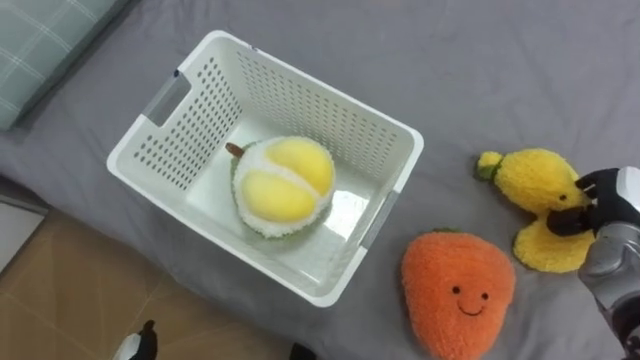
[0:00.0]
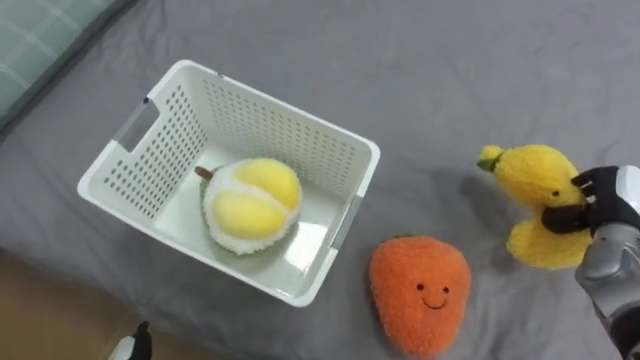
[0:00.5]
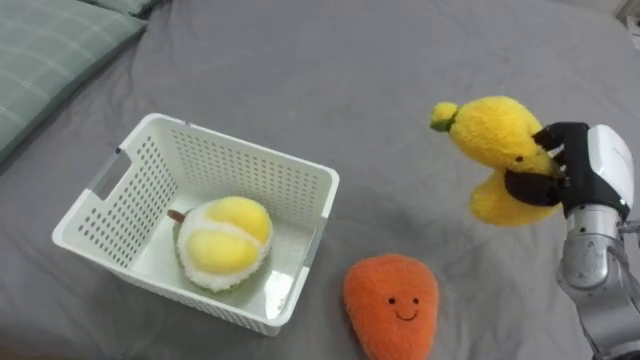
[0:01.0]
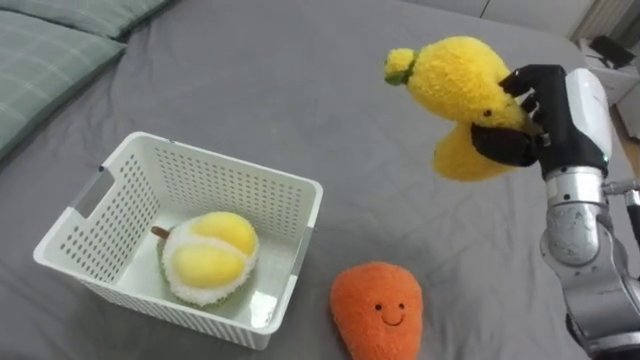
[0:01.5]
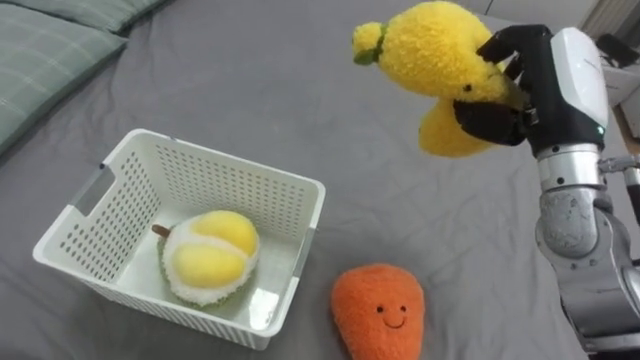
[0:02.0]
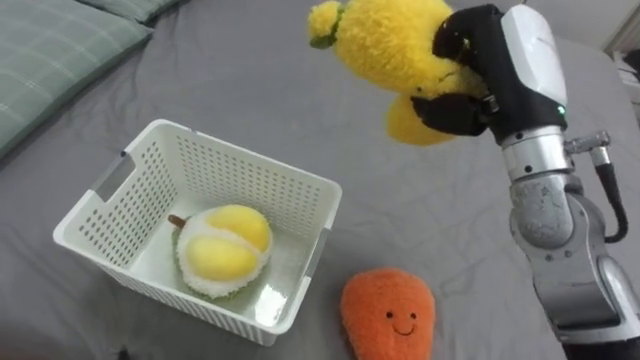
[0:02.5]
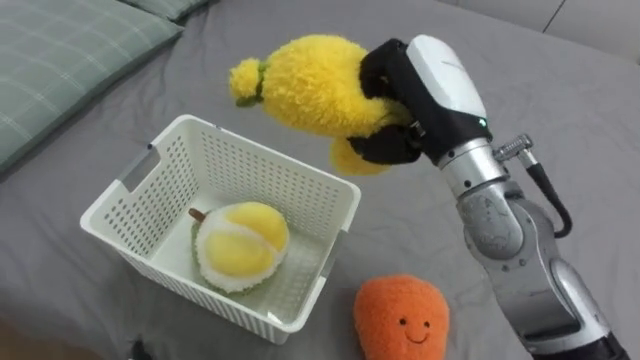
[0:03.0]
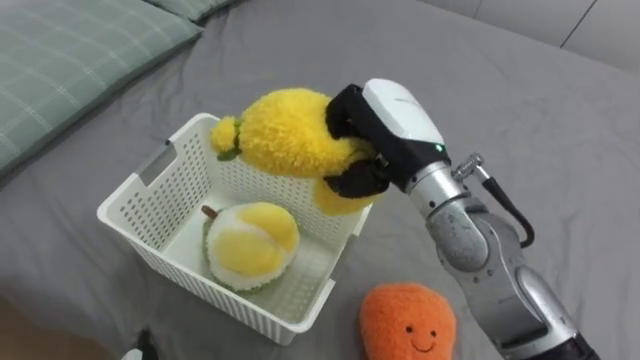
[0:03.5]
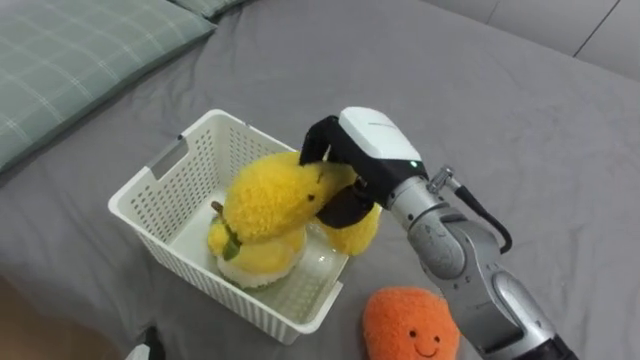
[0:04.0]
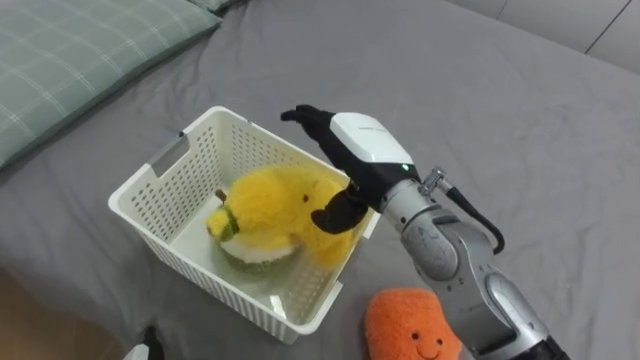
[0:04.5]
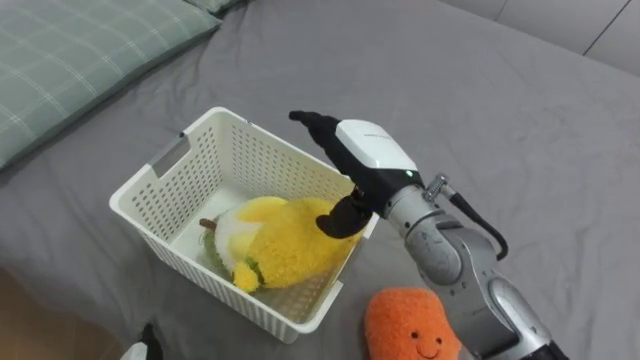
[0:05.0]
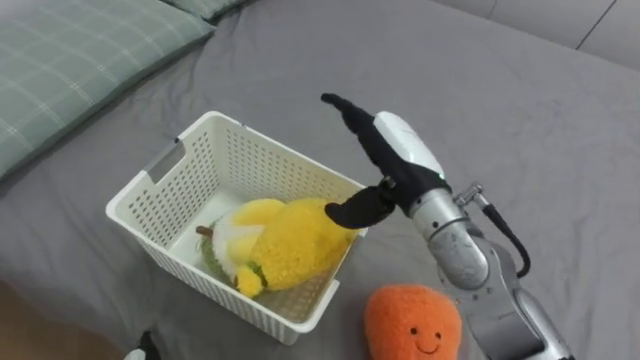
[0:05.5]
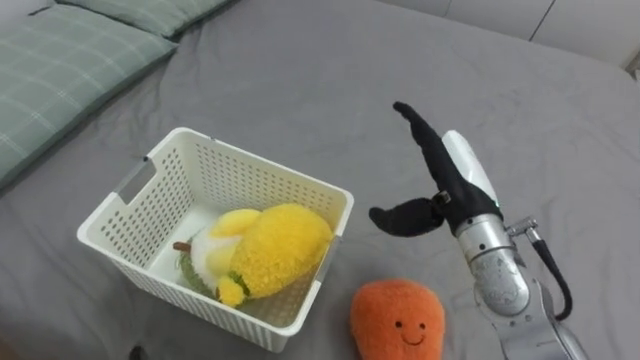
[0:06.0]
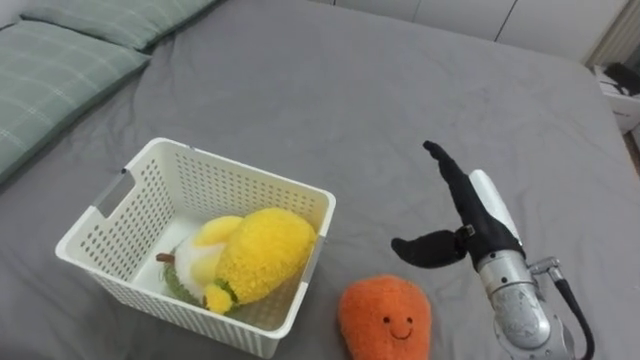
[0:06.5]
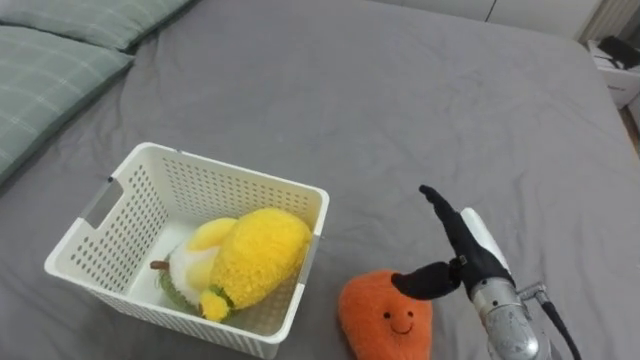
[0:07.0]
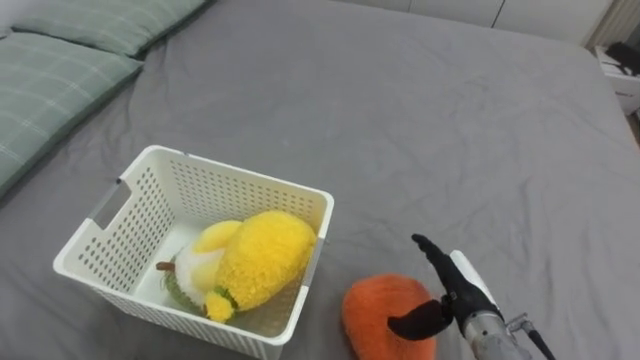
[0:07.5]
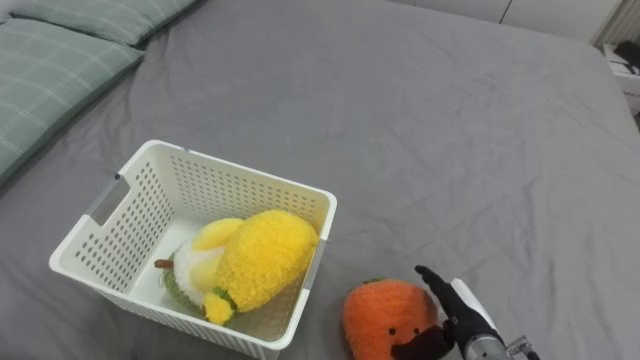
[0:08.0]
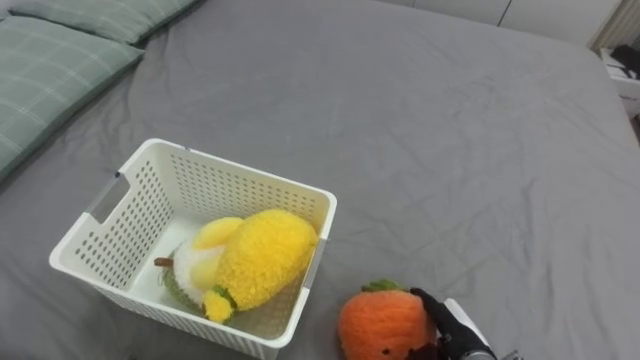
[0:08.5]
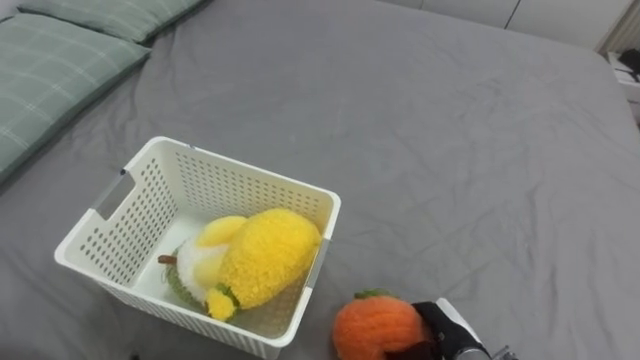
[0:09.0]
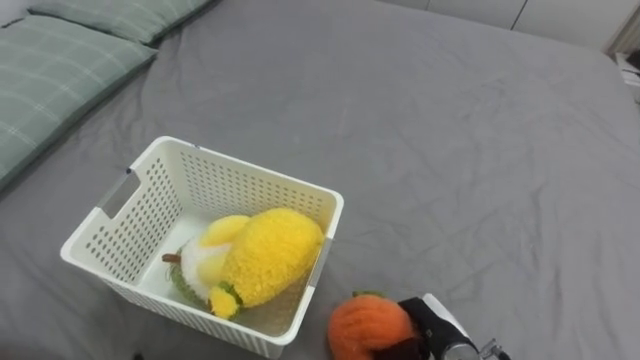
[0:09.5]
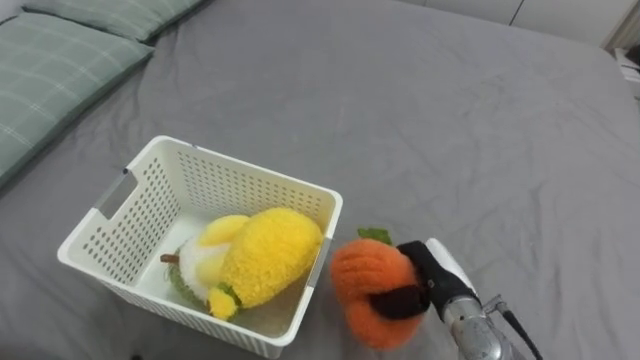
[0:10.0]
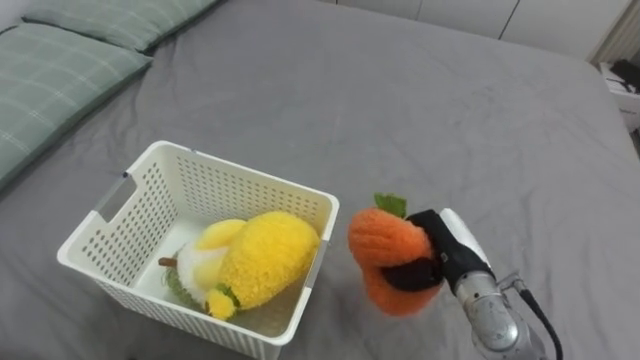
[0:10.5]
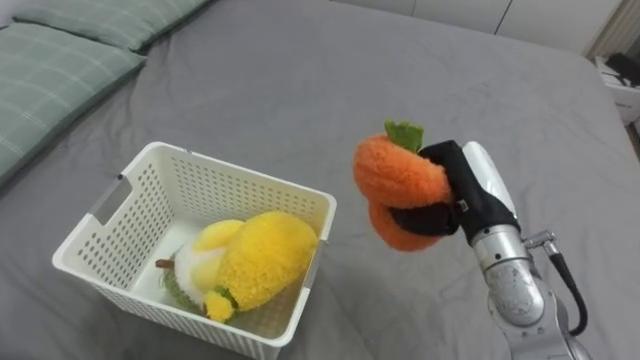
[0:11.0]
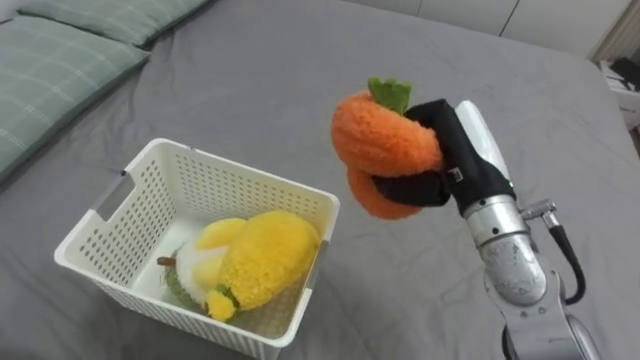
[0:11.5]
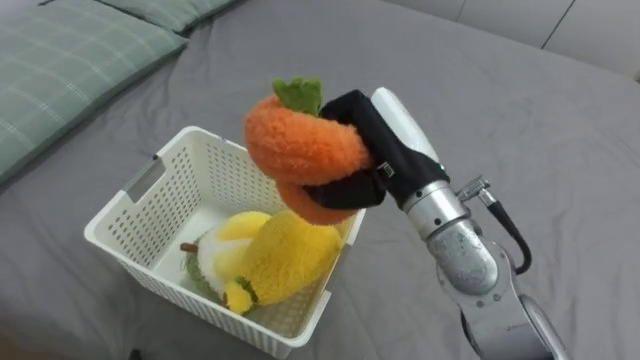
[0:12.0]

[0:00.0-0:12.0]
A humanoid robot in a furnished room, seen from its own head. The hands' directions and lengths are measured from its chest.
Task of the whole recording: Put the toys on the bed into the basket on the left.
0:00.0 to 0:02.0: The right hand heads upward and to the left, covering about 25 cm.
0:02.0 to 0:04.0: The right hand shifts roughly 15 cm to the left.
0:04.0 to 0:06.0: The right hand is displaced to the right by some 10 cm, and opens.
0:06.0 to 0:08.0: The right hand is displaced downward and backward by some 20 cm.
0:08.0 to 0:10.0: The right hand moves roughly 5 cm, and closes.
0:10.0 to 0:12.0: The right hand goes roughly 20 cm upward.

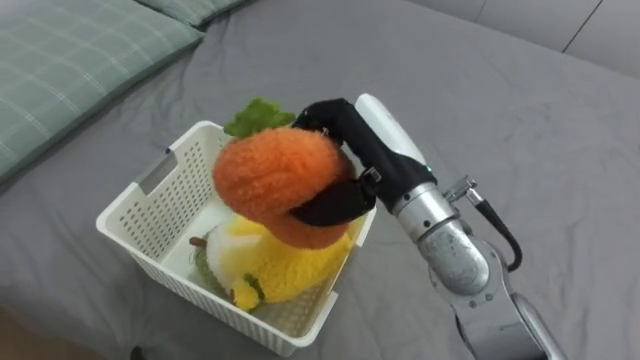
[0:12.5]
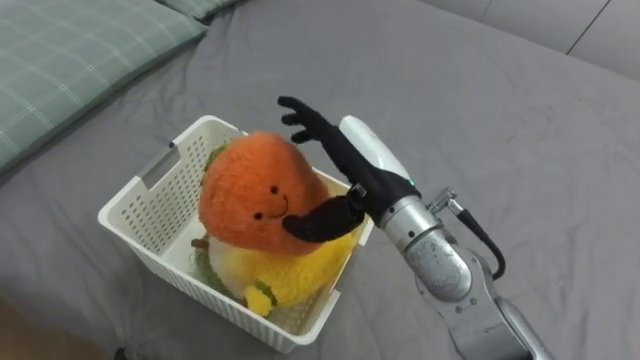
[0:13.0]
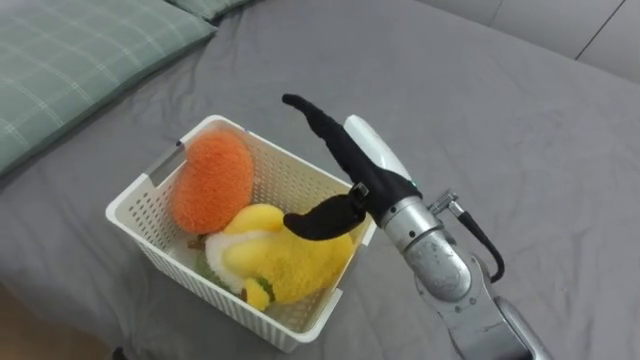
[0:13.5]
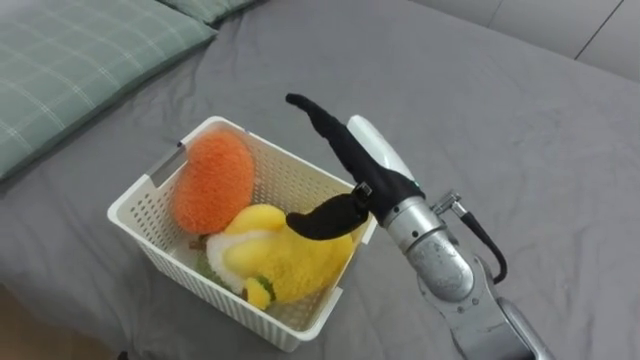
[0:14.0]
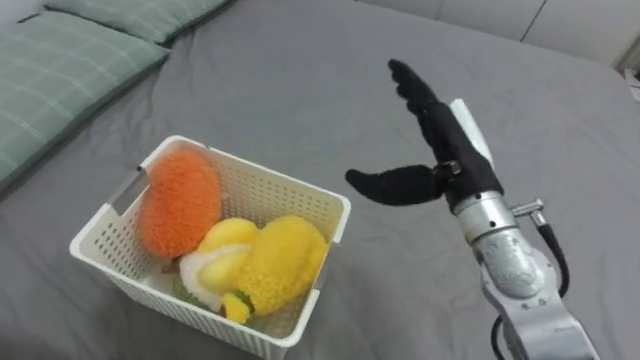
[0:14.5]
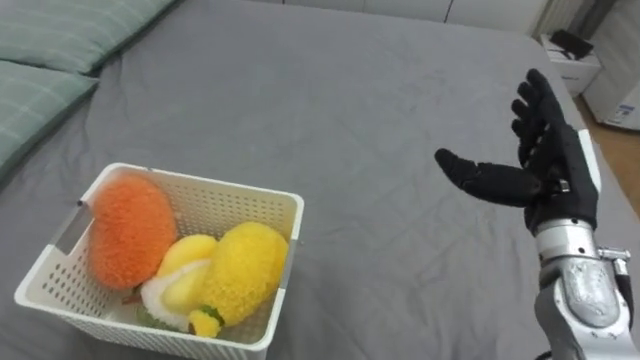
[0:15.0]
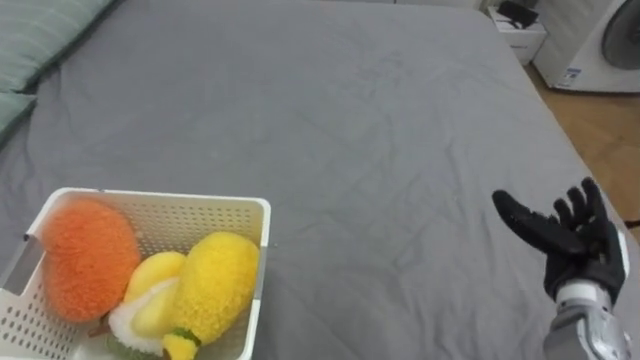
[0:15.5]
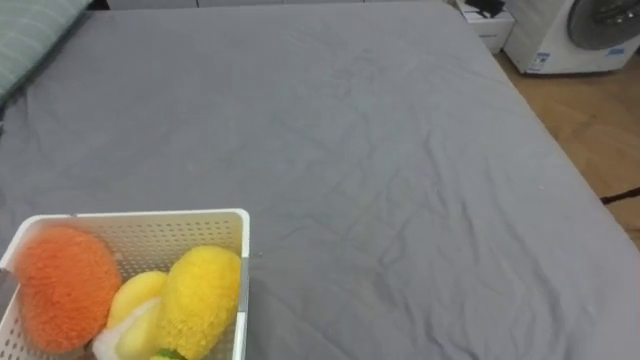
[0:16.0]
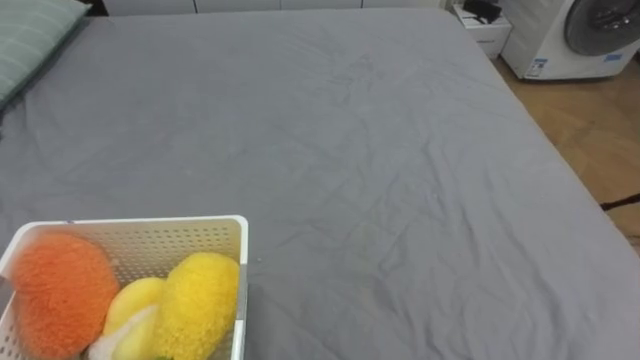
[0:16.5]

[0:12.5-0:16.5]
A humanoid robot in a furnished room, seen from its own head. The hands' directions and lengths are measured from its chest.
Task of the whole recording: Put the toys on the bed into the basket on the left.
0:12.5 to 0:14.5: The right hand heads to the right, covering roughly 10 cm, and opens up.

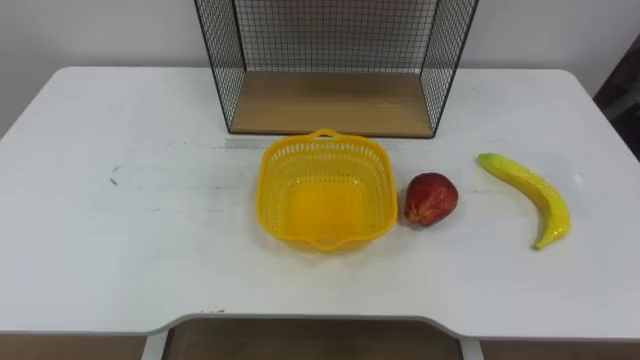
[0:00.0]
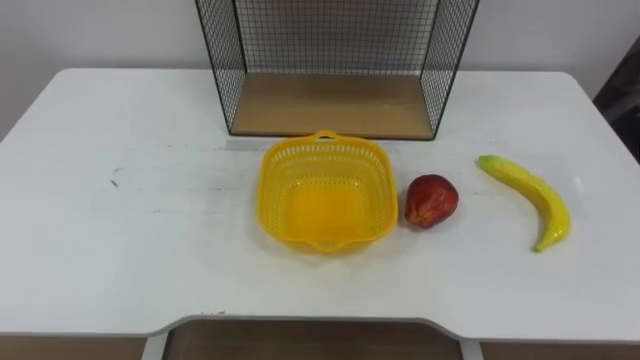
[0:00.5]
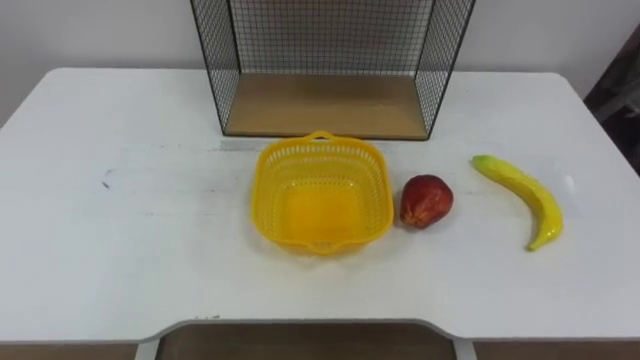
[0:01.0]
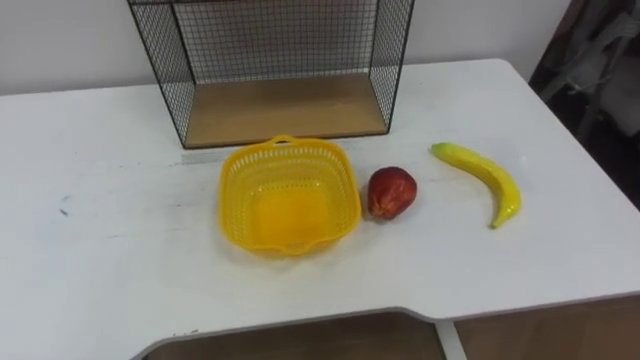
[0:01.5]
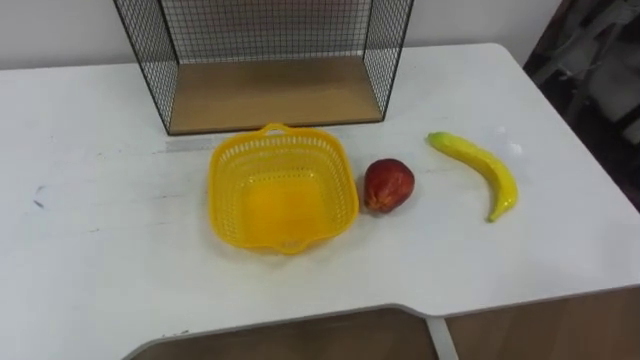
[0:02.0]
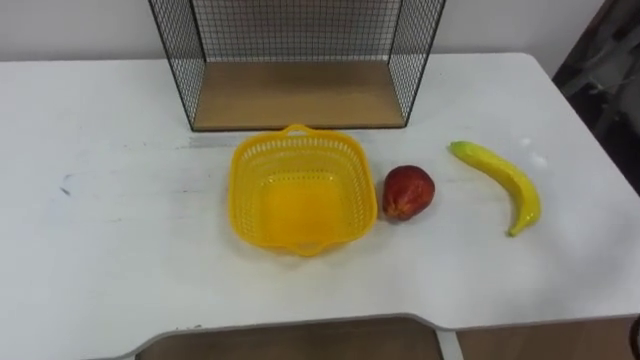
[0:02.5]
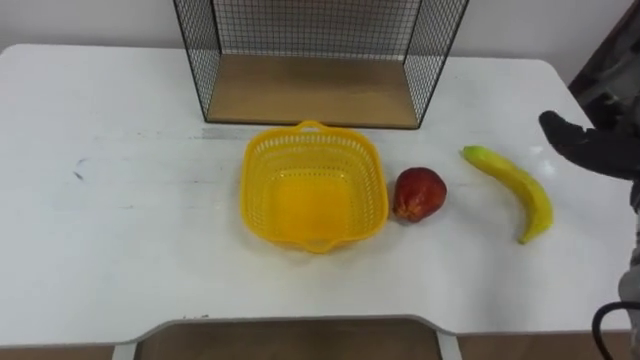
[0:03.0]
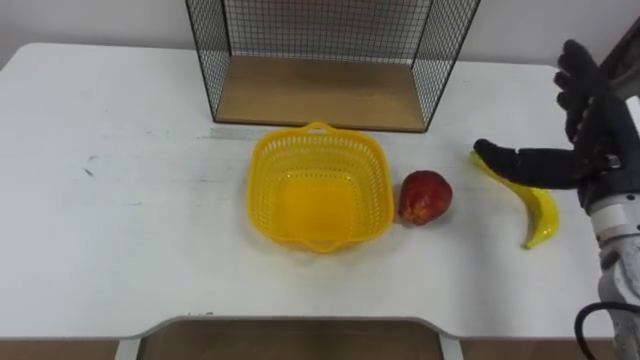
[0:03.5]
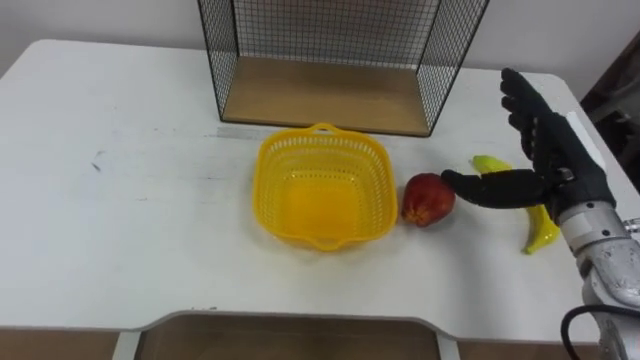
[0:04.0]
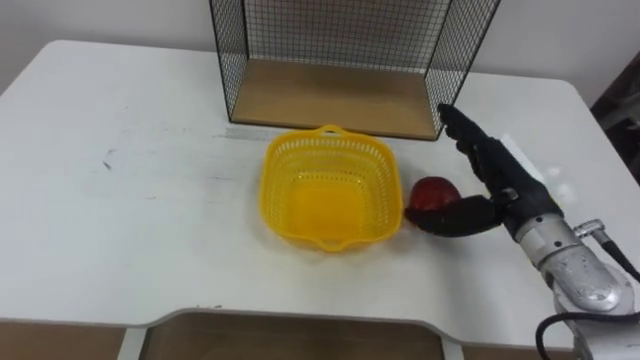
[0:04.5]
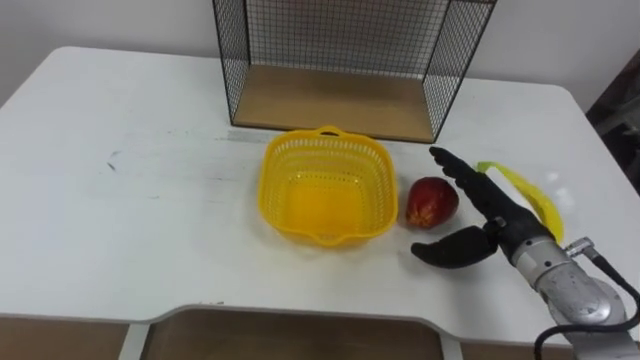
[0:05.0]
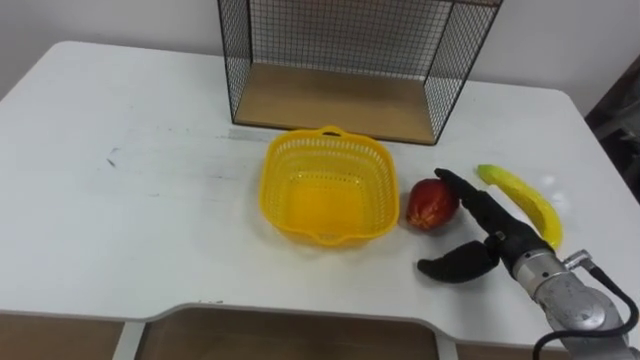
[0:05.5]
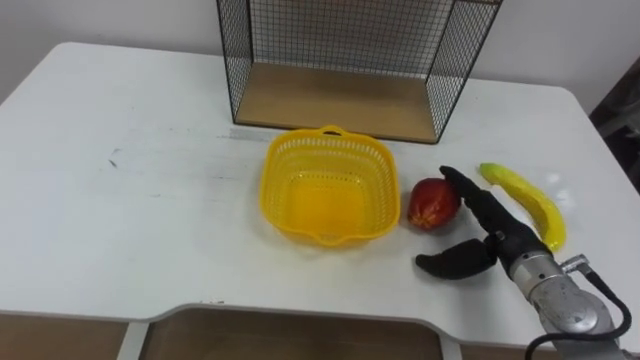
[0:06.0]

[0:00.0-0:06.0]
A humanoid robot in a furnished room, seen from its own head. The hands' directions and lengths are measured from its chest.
Task of the whole recording: Put the fruit on the table into the basket, then place the basket on the shelf.
0:04.0 to 0:06.0: The right hand shifts roughly 10 cm downward.
